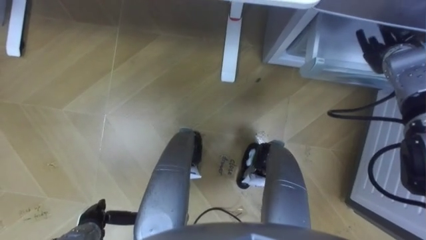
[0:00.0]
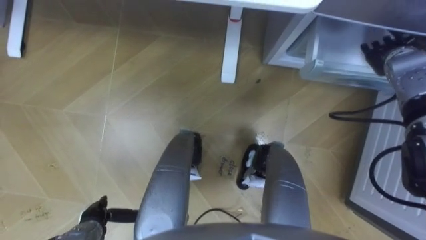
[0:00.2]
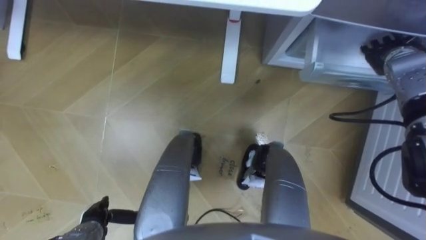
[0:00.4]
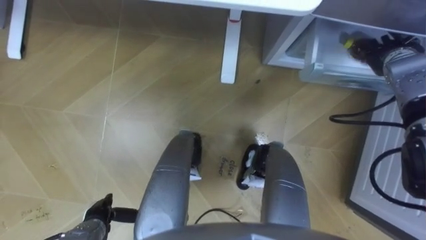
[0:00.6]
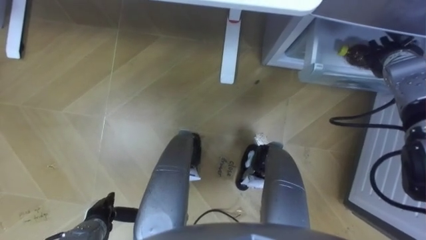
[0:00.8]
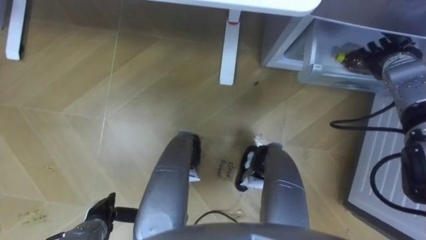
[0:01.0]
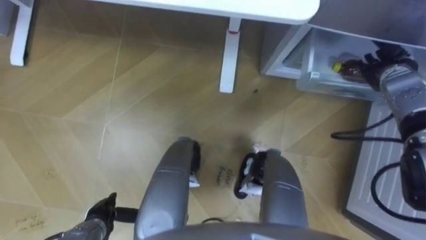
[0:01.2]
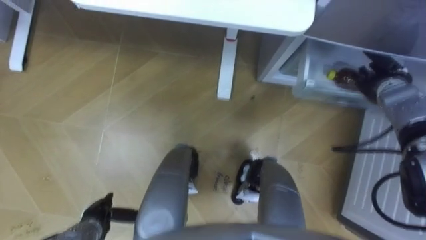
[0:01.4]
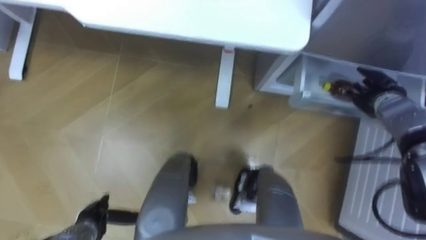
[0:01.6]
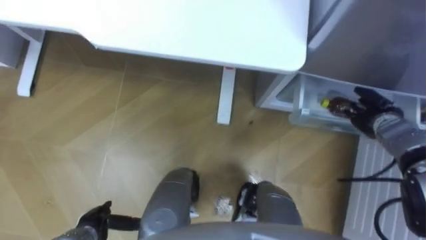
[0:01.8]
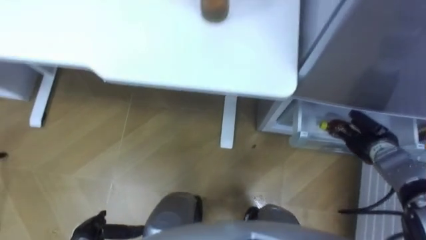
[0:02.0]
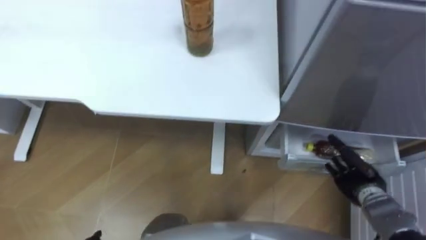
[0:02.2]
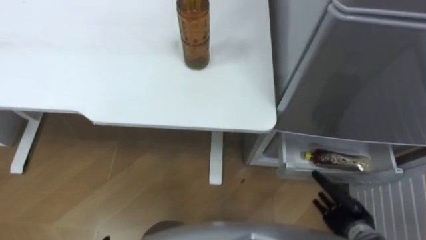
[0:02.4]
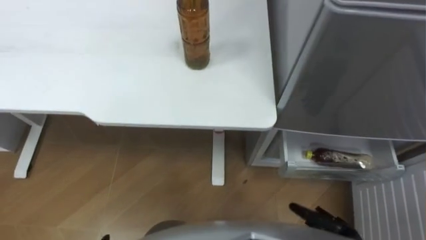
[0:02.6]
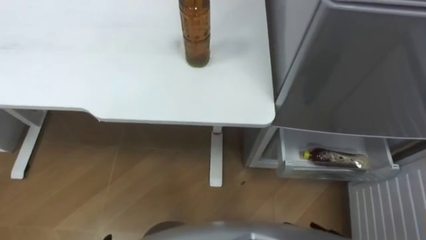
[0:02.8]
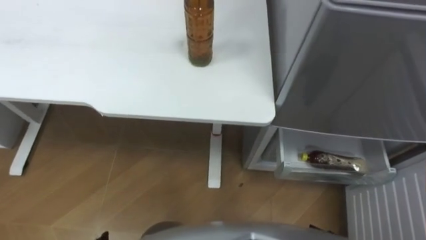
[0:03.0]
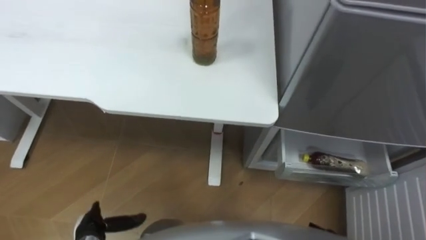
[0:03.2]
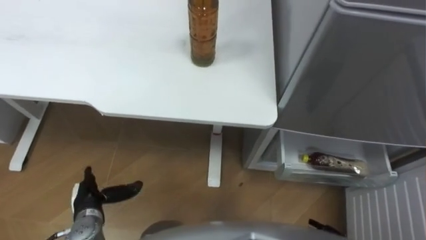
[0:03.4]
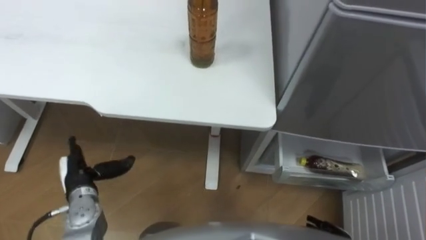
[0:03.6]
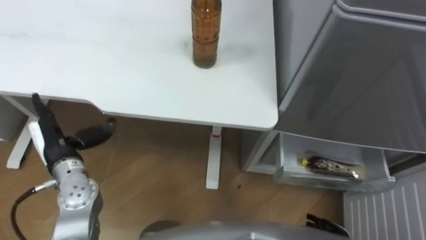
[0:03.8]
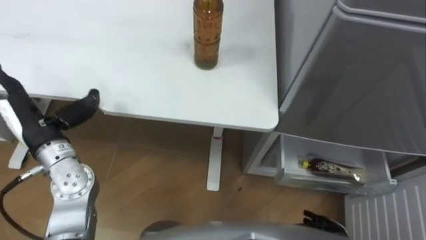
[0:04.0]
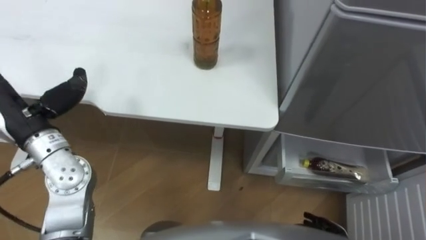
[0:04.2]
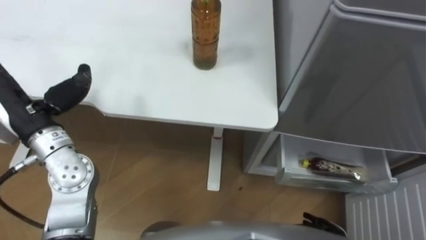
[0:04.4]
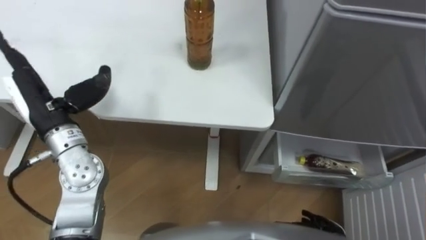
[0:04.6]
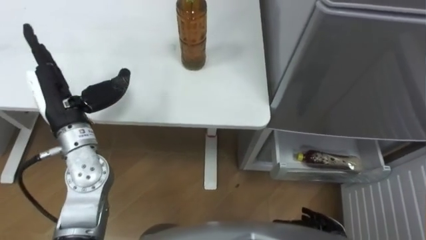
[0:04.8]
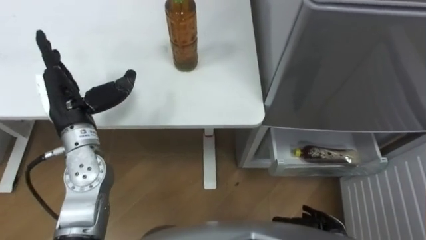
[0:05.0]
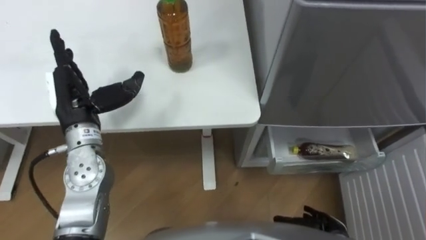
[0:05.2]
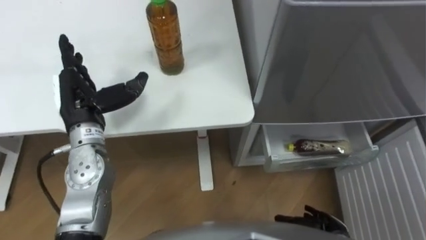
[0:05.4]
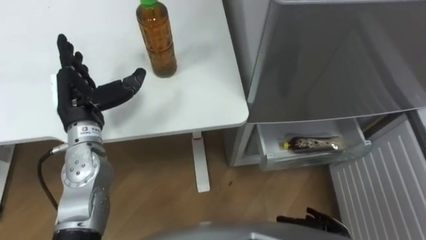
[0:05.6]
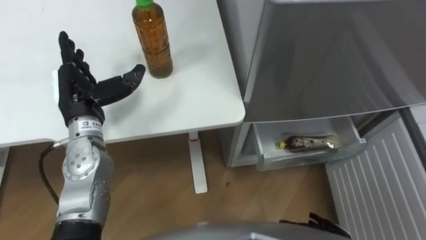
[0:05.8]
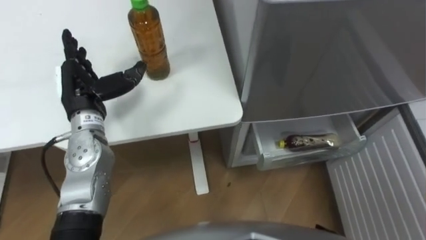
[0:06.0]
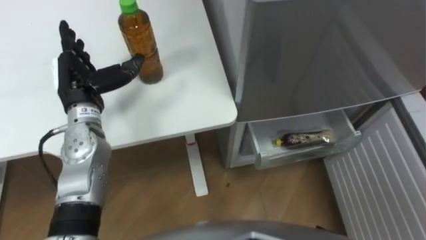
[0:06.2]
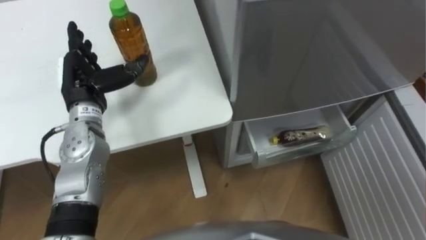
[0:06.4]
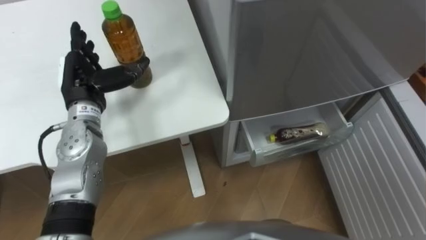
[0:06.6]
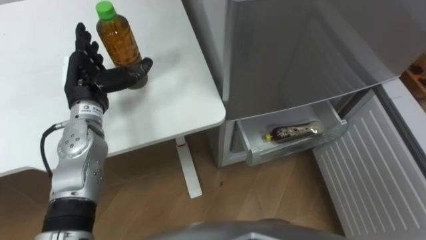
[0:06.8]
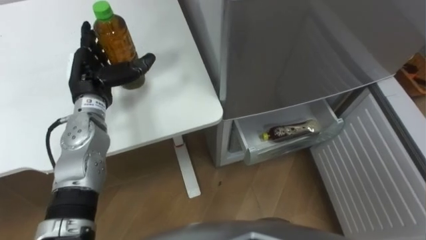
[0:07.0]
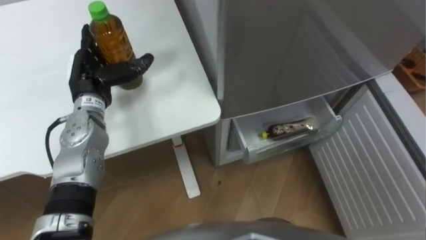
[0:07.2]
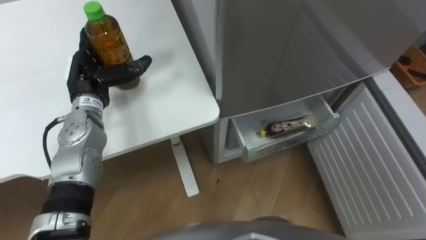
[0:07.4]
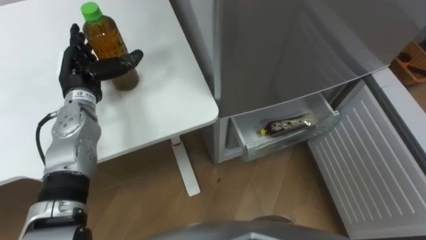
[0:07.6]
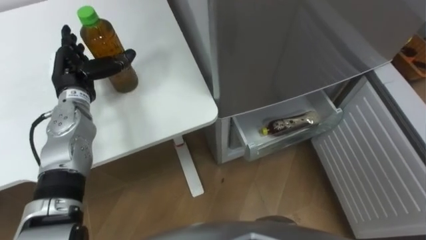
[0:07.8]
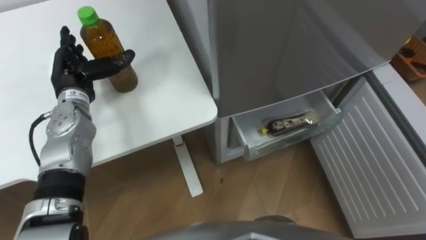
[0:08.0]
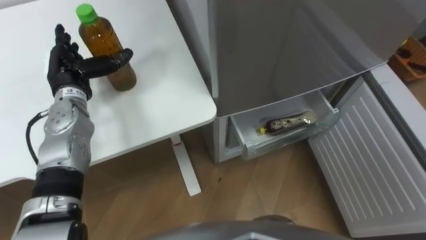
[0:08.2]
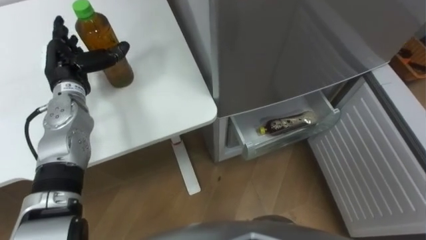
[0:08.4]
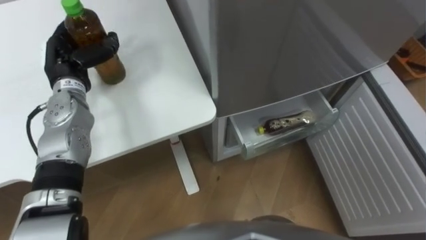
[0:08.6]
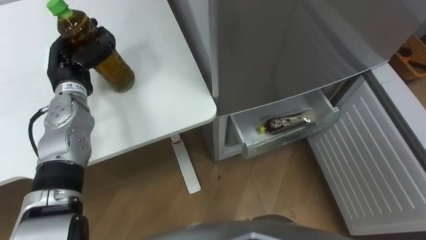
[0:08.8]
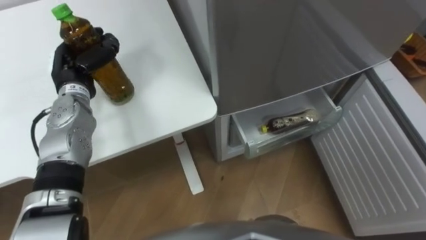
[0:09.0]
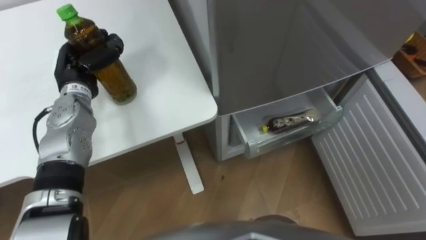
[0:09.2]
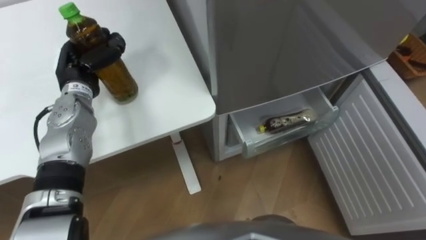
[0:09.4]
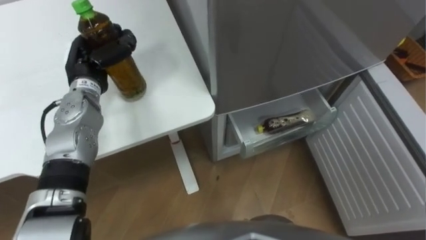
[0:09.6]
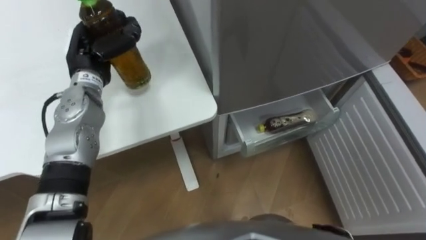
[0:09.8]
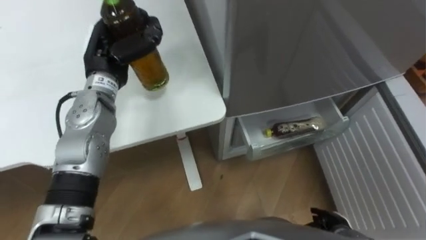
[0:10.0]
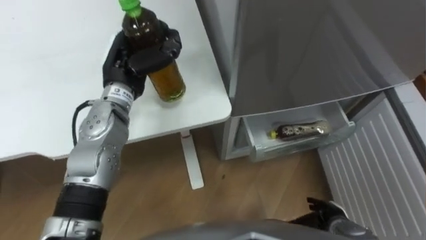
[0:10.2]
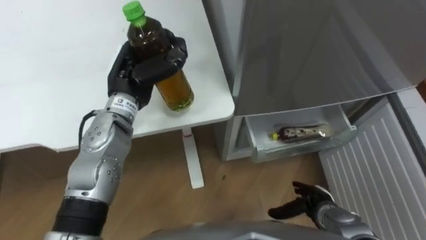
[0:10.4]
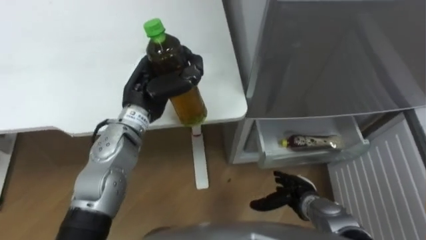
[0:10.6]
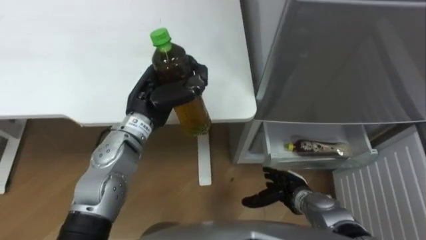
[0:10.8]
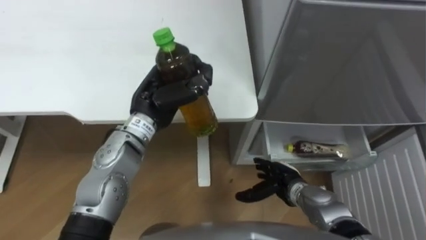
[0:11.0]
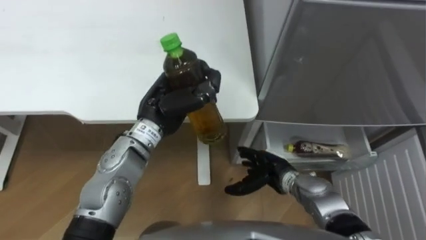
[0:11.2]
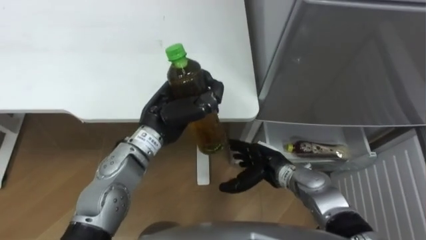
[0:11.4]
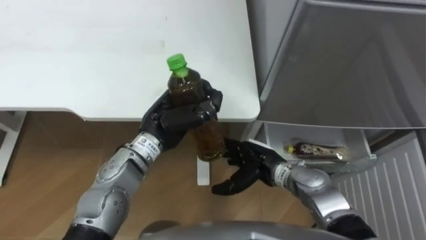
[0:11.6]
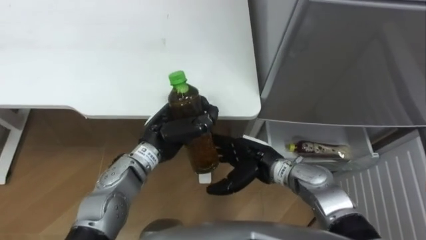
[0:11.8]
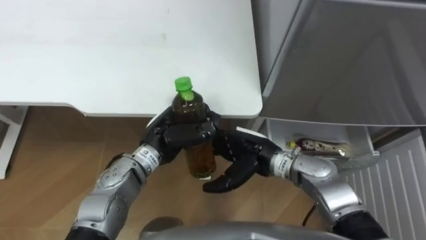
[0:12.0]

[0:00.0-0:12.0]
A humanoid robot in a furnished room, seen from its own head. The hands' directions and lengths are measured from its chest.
Task of the whole recording: Place the drink on the table on the bottom shelf of the refrigerator, then close the drawer and the refrigerator door.
0.0 to 1.6 s: The right hand is displaced downward and backward by roughly 10 cm.
4.4 to 6.0 s: The left hand shifts roughly 10 cm to the right and forward.
7.6 to 9.0 s: The left hand closes.
9.0 to 10.4 s: The left hand is displaced to the right by approximately 10 cm.
10.4 to 12.0 s: The right hand travels to the left, upward and forward by some 20 cm; the left hand heads downward, backward and to the right, covering about 15 cm.

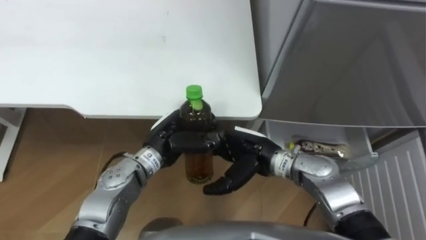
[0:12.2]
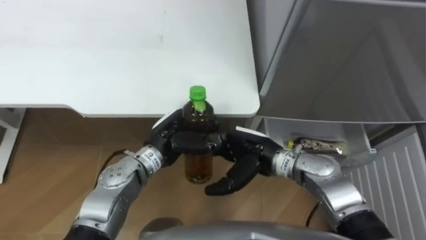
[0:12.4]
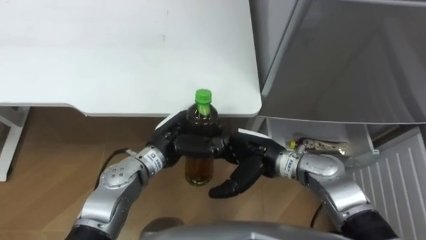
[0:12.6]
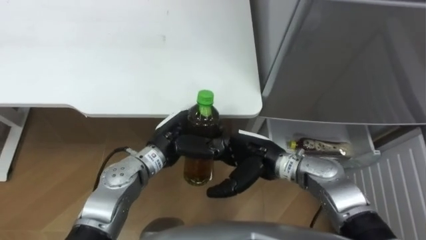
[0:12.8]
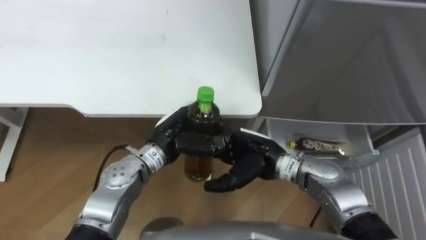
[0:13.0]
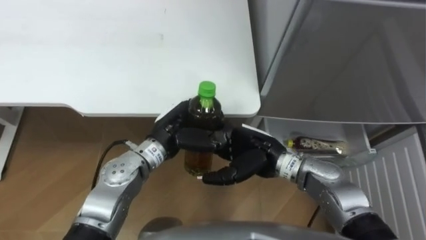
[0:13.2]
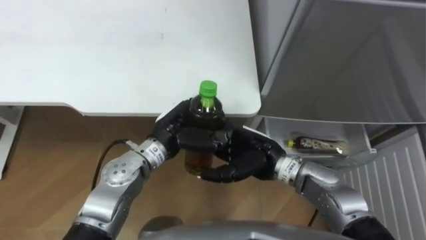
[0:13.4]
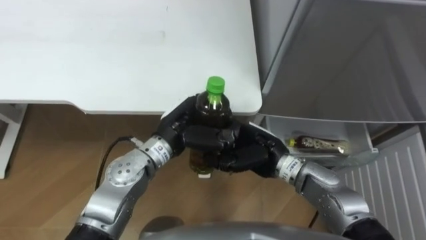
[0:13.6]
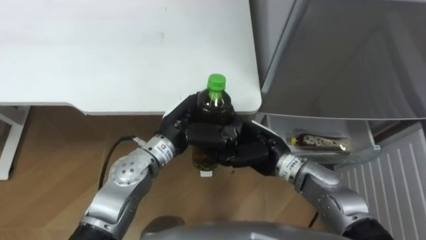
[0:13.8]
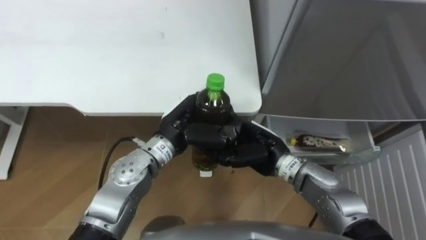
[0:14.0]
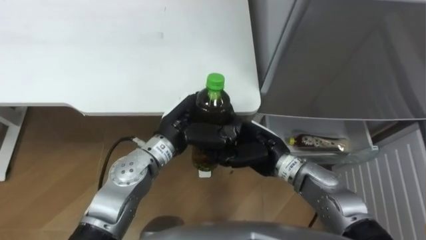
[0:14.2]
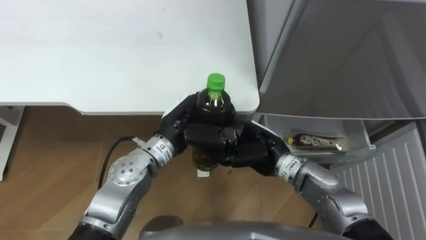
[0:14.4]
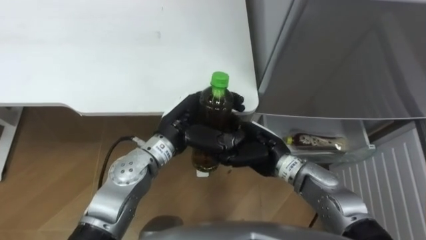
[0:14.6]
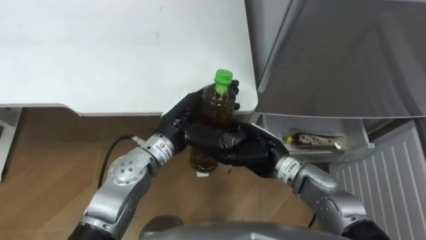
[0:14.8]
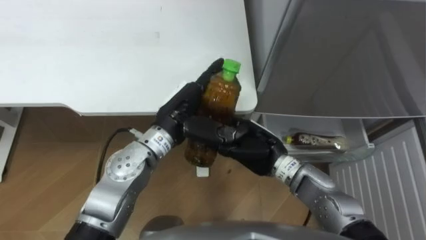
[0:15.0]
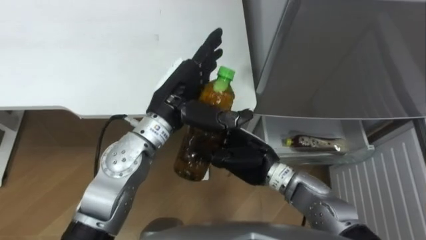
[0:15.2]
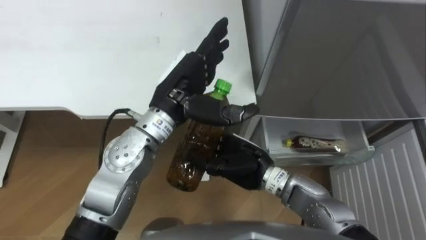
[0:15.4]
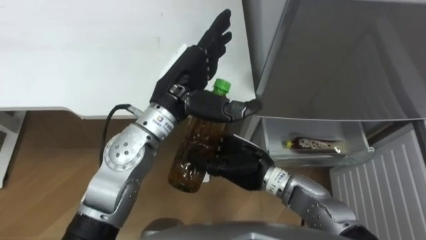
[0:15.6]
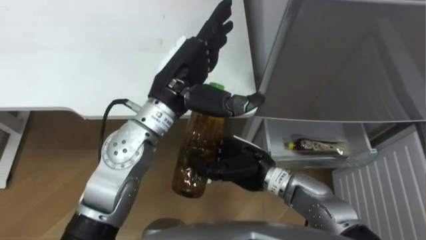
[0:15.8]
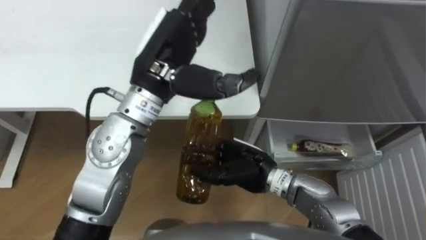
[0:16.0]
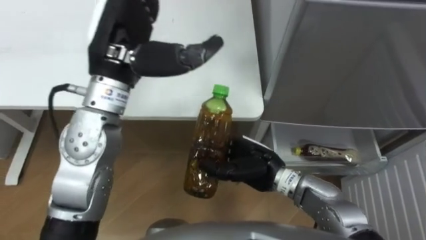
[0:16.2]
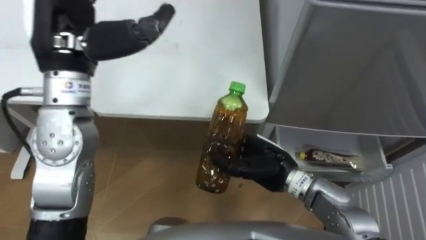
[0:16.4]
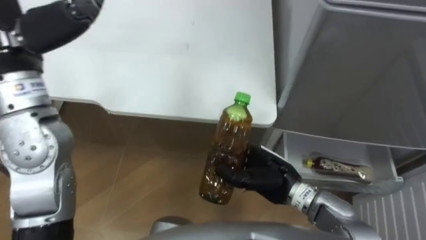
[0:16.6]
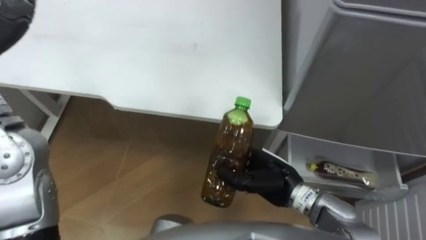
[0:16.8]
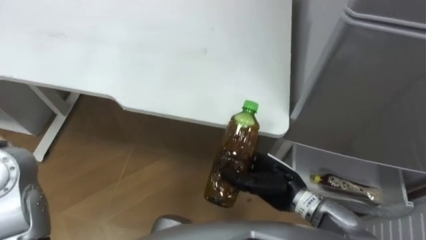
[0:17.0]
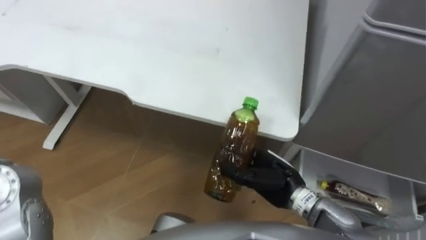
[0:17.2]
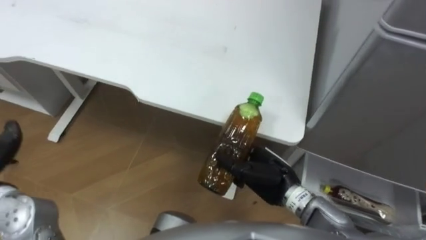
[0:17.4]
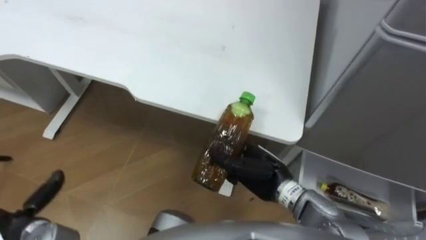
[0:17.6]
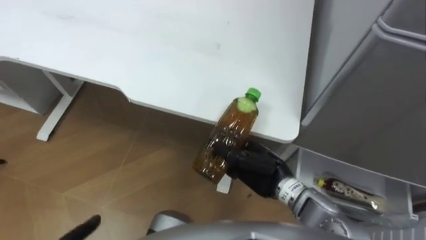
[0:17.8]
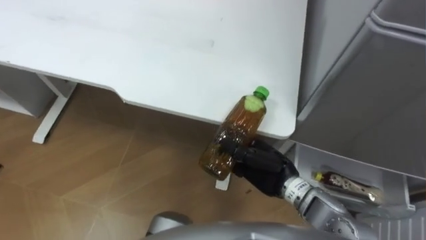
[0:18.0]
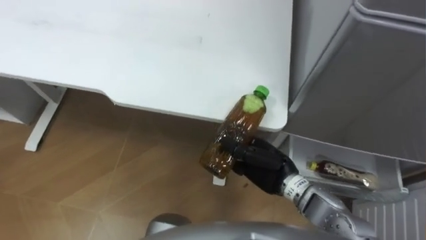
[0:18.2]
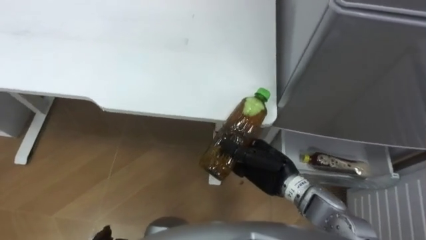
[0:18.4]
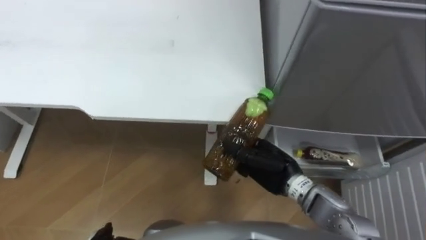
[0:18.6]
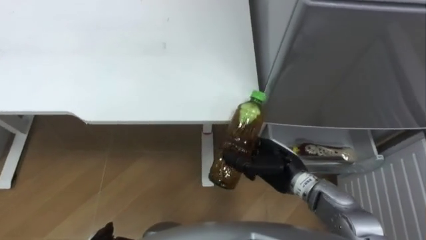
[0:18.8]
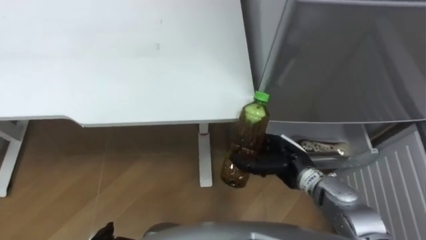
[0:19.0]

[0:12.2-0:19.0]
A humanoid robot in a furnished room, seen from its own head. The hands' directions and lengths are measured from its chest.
Task of the whole recording: Place the drink on the table on the bottom shelf of the refrigerator, then close the drawer and the refrigerator door.
13.6 to 15.0 s: The left hand opens.
15.0 to 16.2 s: The left hand goes roughly 15 cm upward and to the left.
17.6 to 19.0 s: The right hand goes some 5 cm to the right.
